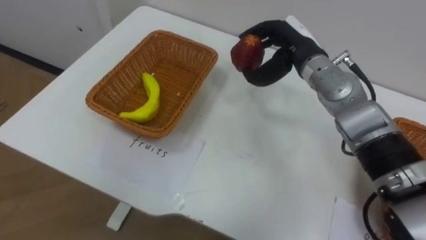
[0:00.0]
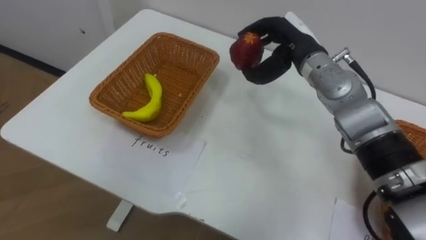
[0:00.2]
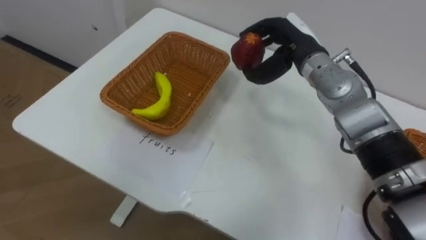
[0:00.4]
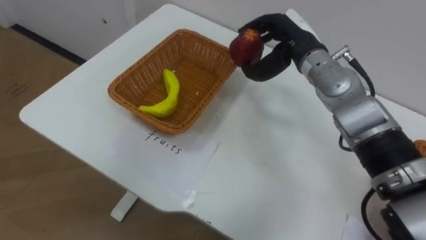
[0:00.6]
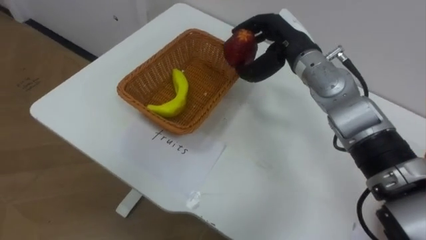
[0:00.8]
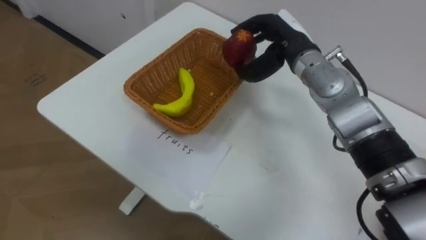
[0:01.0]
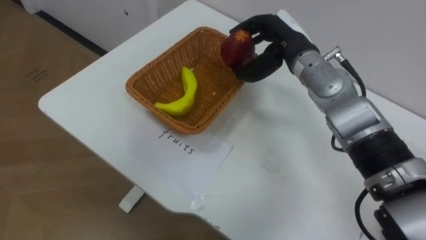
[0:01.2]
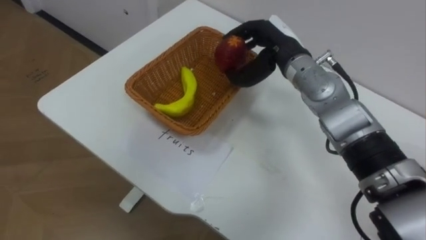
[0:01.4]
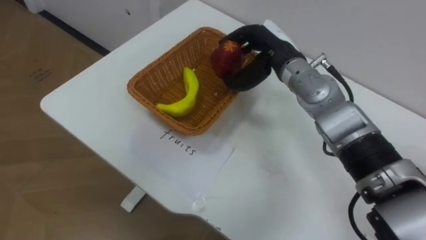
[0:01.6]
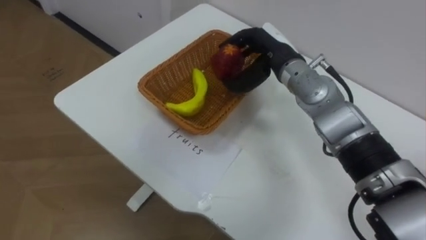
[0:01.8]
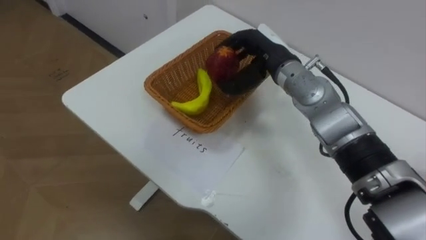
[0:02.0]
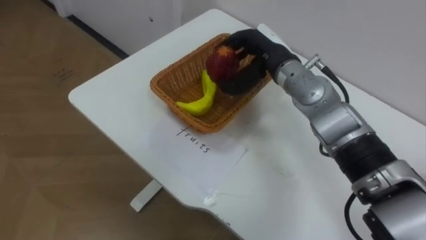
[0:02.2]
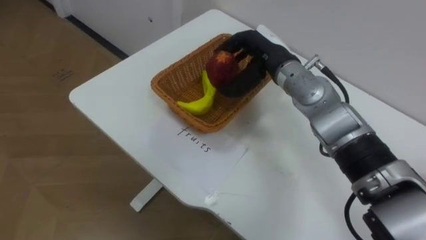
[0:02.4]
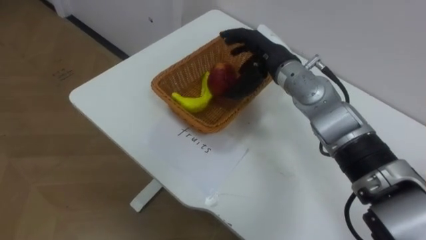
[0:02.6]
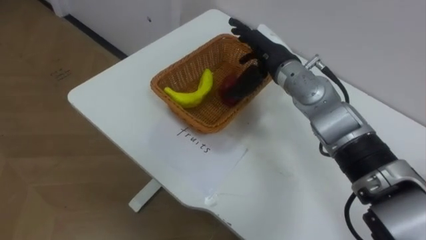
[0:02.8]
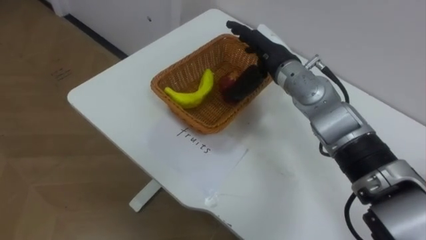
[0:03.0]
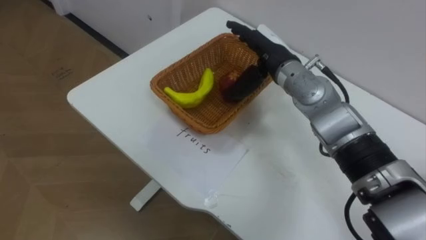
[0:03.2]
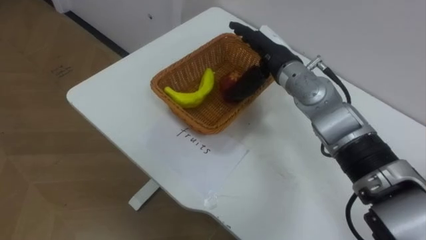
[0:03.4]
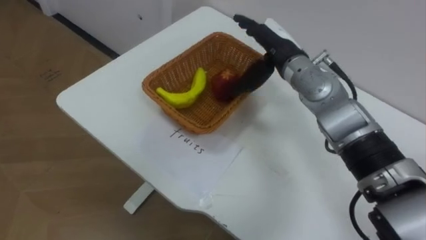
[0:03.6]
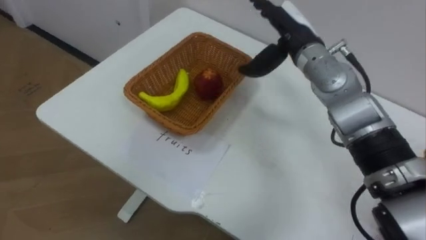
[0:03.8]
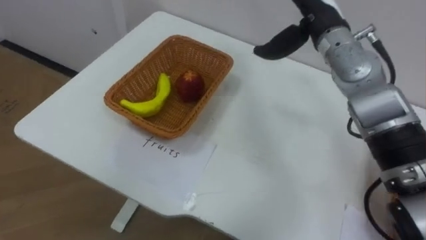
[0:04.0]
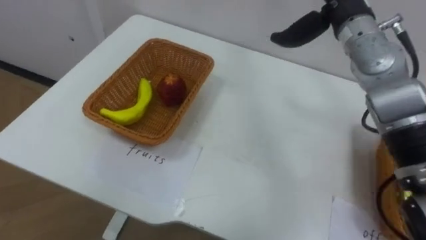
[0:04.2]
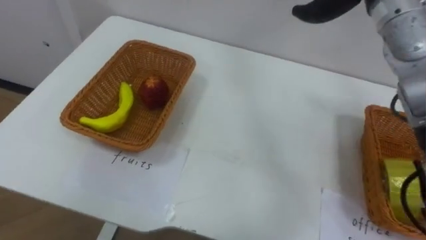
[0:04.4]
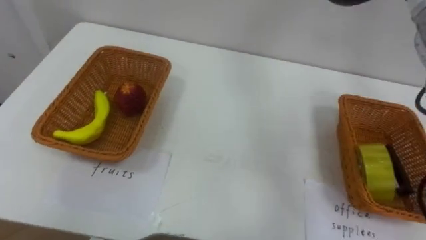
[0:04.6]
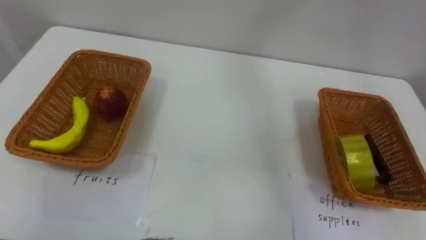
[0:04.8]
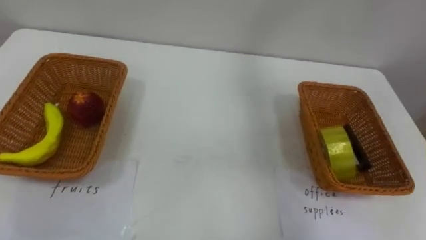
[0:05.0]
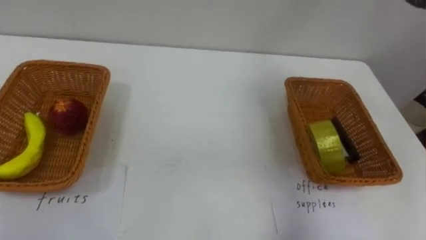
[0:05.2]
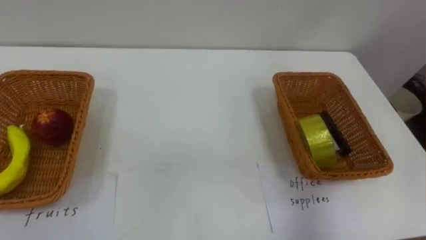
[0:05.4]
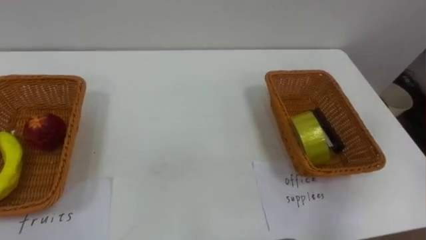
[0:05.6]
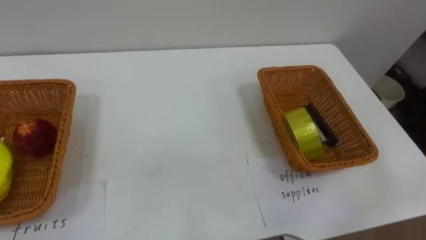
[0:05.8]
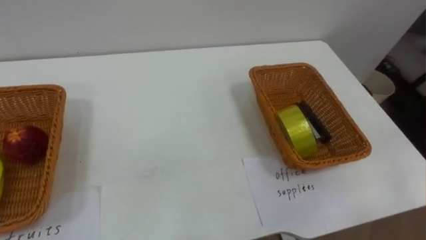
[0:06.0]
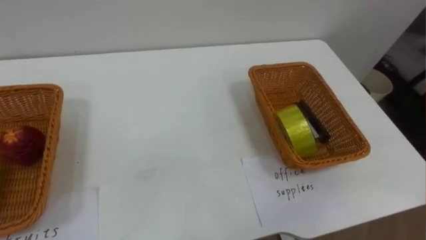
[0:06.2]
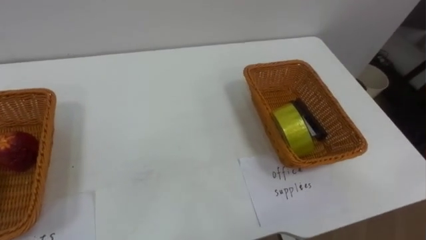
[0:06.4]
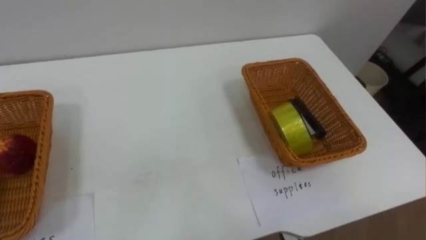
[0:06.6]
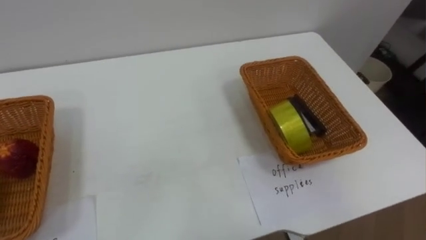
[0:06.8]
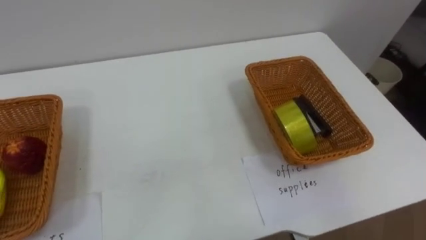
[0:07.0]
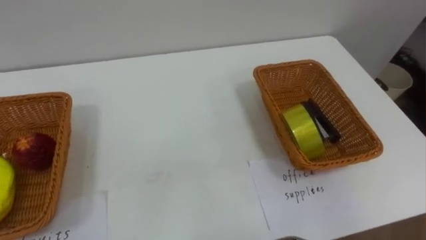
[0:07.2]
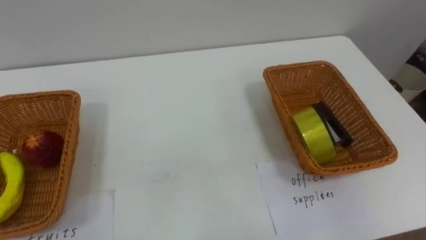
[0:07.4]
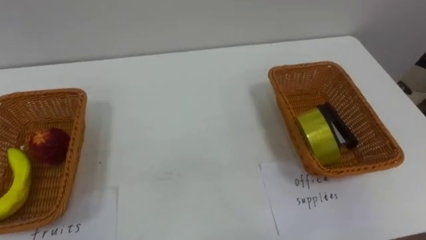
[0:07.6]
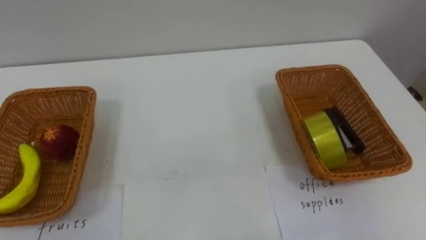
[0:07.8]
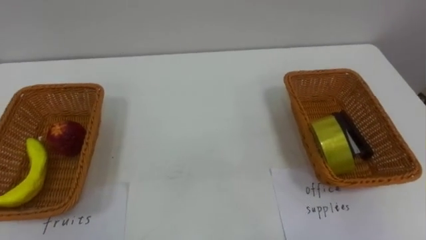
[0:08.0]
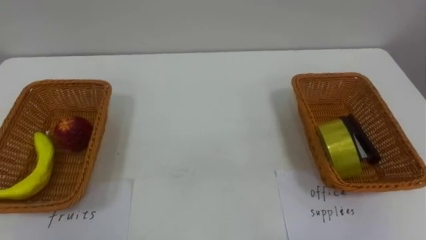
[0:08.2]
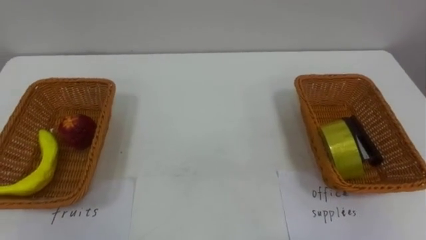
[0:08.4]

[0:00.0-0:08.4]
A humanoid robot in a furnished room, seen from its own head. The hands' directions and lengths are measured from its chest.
Task of the whole recording: Separate the items on the table and place them into the two baskets.
0:01.4 to 0:02.8: The right hand opens.
0:02.8 to 0:04.2: The right hand moves to the right and upward, roughly 15 cm.

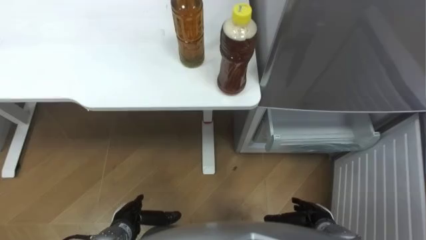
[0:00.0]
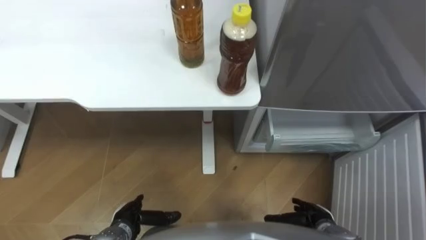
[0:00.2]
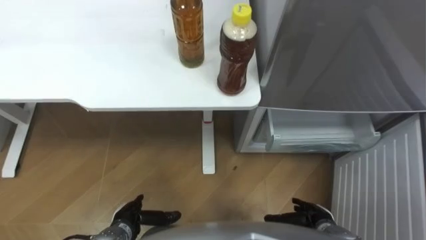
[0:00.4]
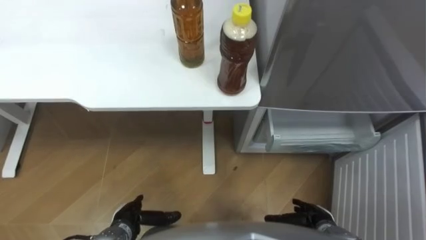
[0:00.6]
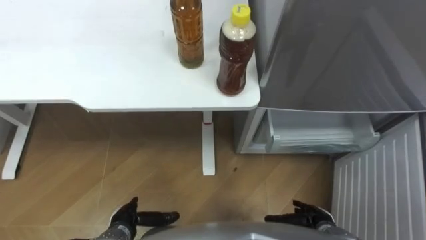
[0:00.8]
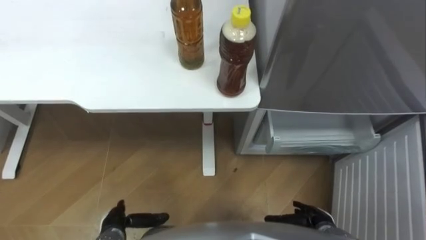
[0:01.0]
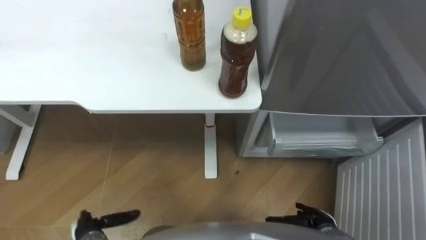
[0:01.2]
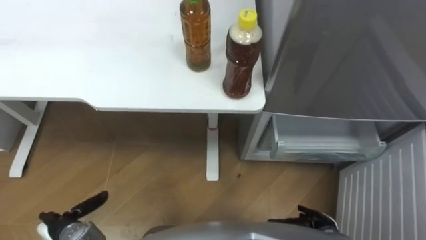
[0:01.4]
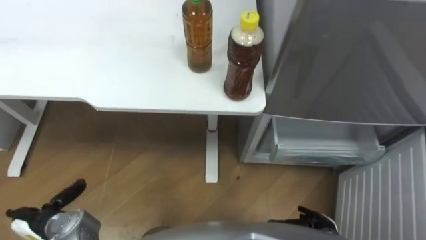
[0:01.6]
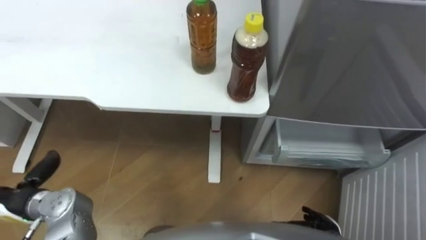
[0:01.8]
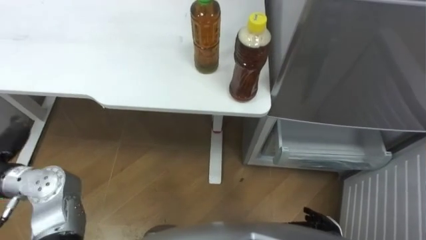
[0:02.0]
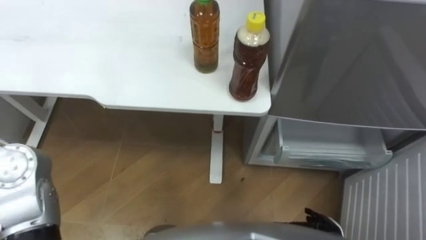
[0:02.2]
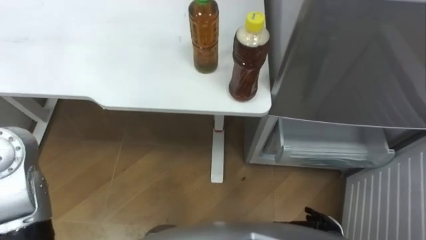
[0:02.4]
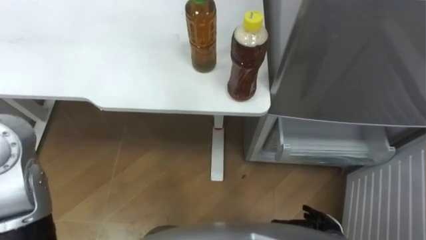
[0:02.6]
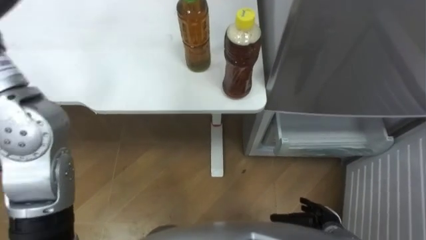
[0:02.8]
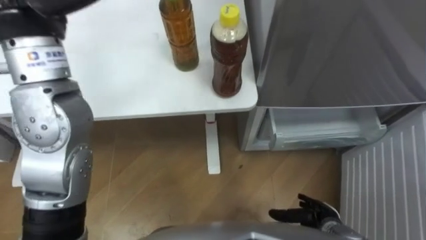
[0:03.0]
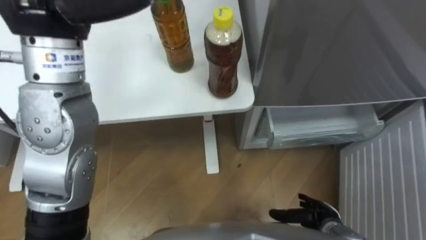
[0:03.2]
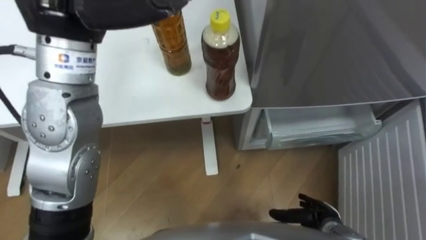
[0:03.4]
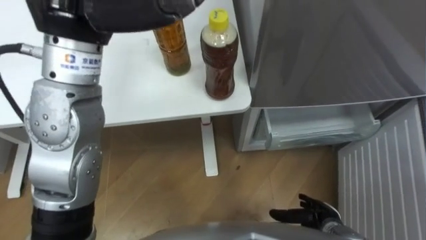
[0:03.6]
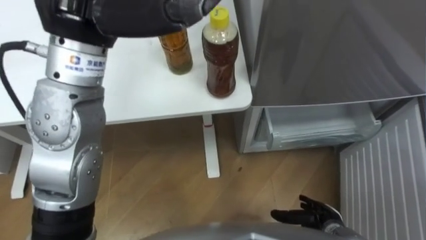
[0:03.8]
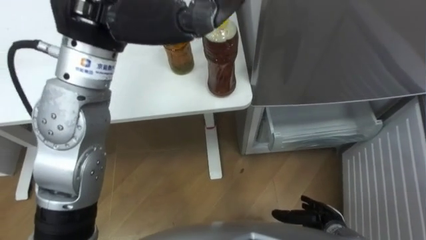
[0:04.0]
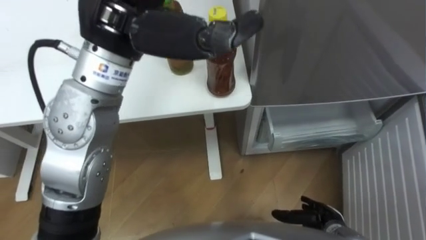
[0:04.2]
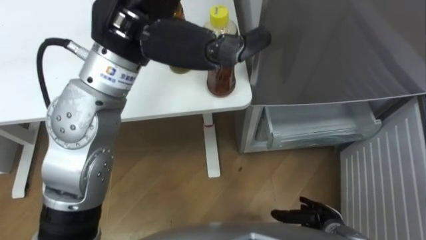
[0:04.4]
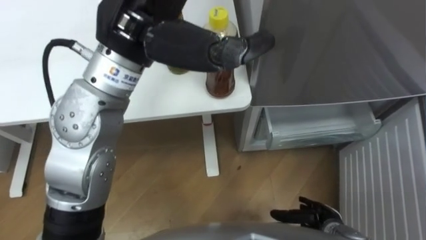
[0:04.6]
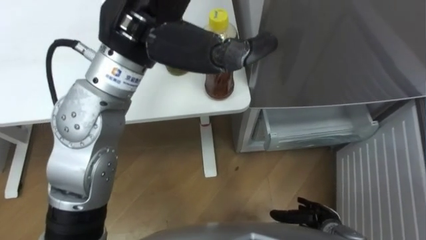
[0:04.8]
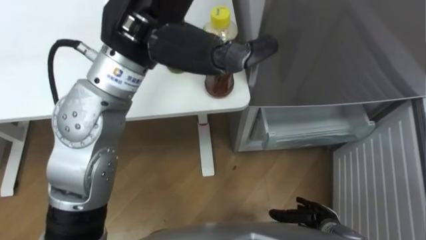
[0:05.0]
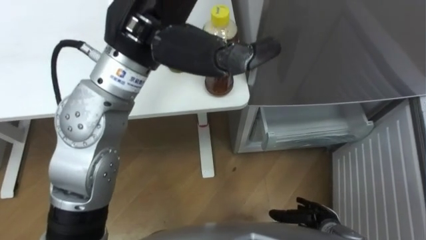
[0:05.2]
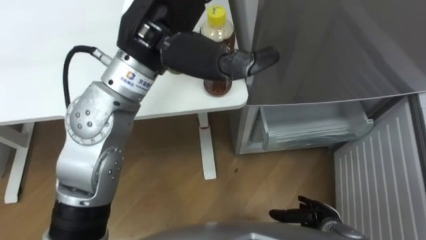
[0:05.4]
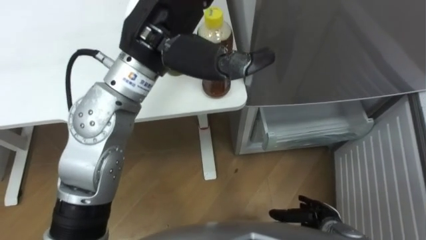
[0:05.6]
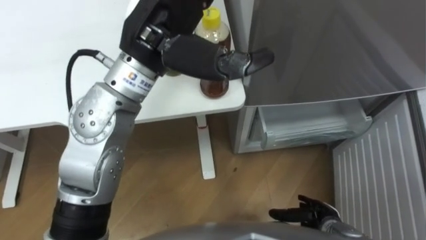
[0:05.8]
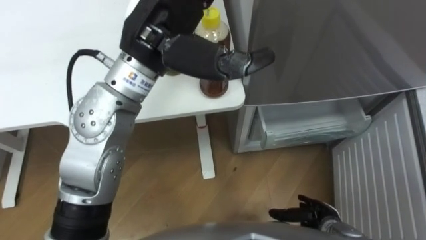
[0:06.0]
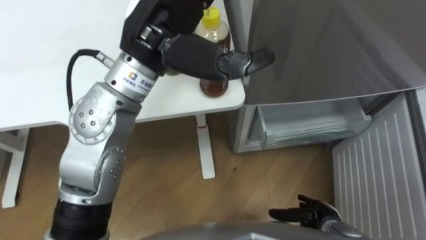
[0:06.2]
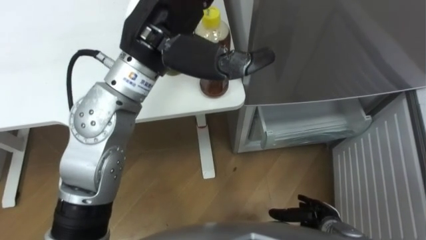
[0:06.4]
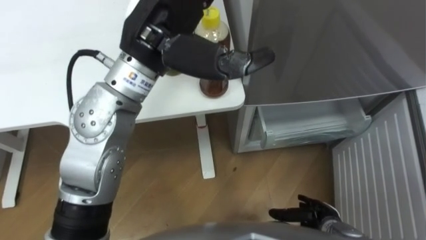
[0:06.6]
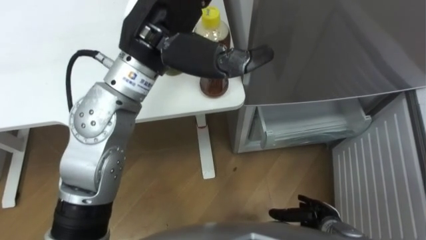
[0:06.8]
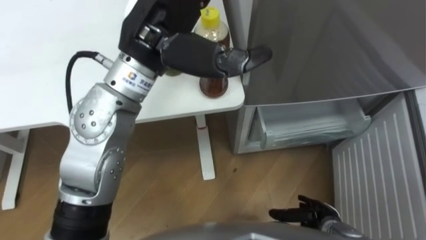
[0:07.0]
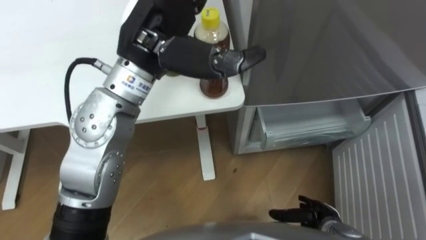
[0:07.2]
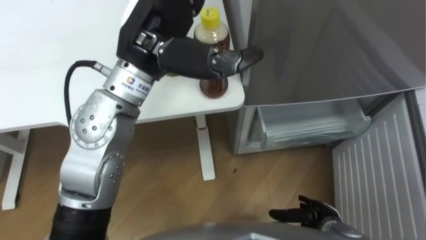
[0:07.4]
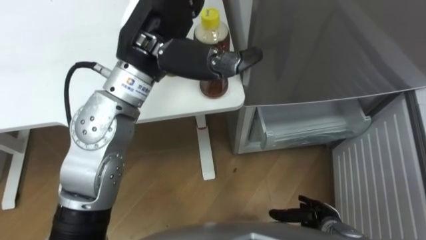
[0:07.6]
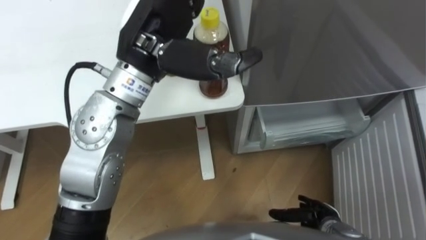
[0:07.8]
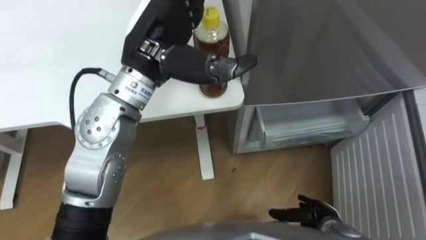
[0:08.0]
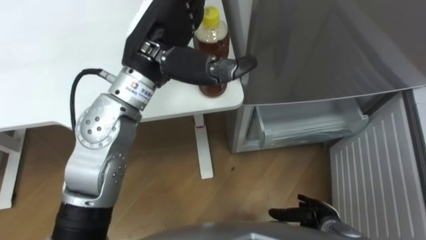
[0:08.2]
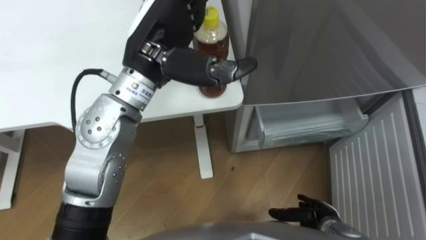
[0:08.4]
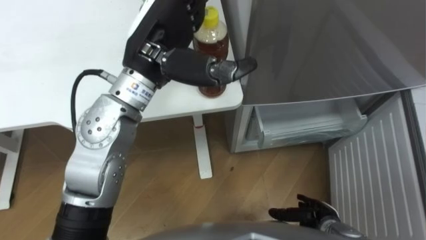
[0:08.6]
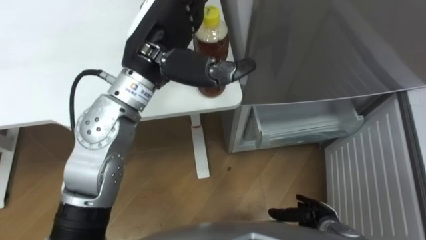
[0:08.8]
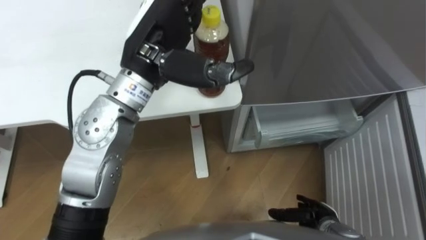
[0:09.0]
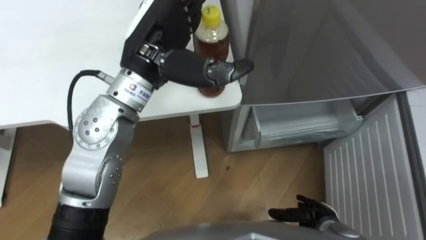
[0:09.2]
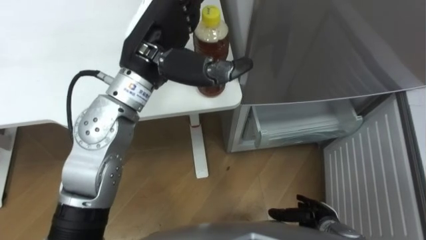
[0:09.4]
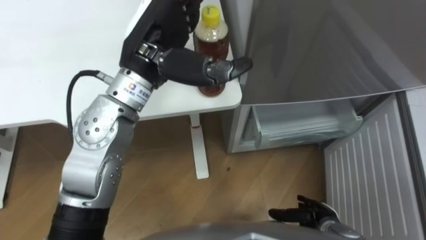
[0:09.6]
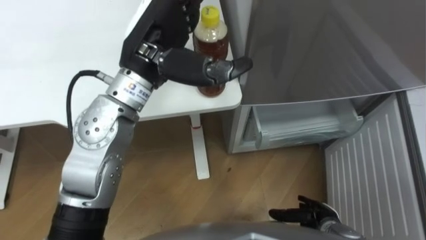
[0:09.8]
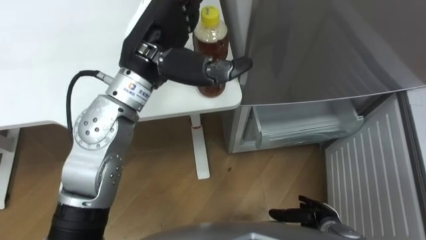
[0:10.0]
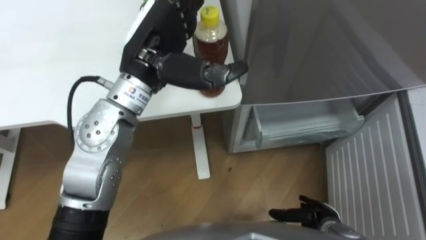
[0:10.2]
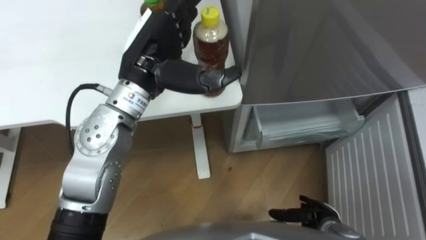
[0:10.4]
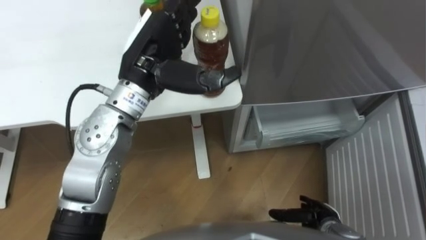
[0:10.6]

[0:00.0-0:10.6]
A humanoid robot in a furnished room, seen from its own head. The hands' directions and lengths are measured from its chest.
Task of the whole recording: Place the drink on the table on the bottom shelf of the refrigerator, then close the drawer and the refrigerator door.
0:03.0 to 0:04.6: The left hand moves to the right, about 10 cm.
0:06.0 to 0:09.0: The hands move only a little.
0:09.0 to 0:10.6: The hands move only a little.
